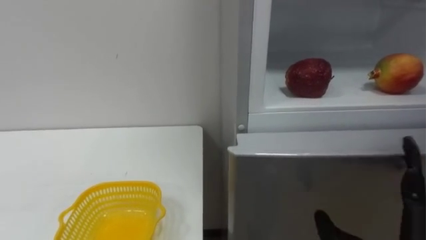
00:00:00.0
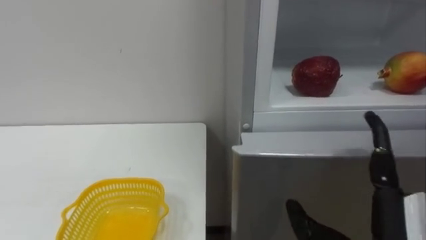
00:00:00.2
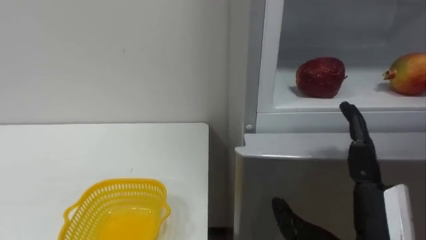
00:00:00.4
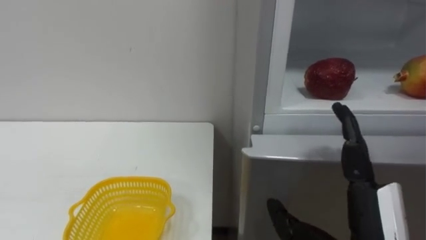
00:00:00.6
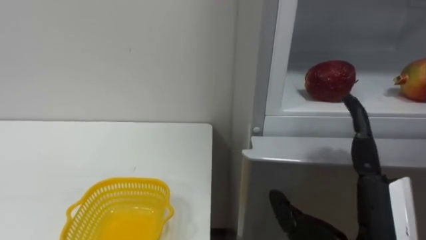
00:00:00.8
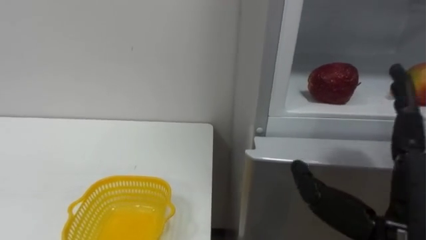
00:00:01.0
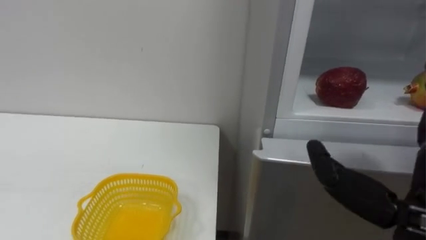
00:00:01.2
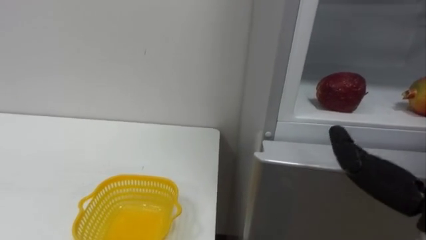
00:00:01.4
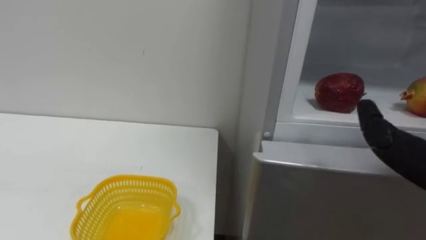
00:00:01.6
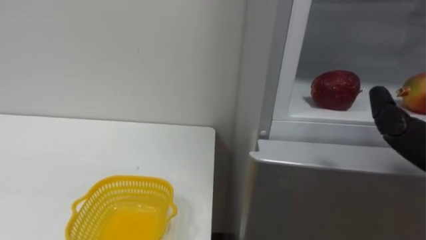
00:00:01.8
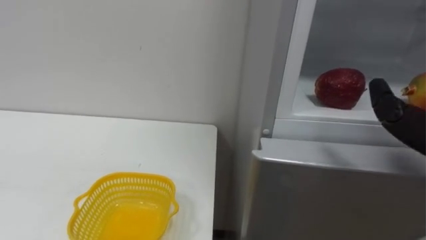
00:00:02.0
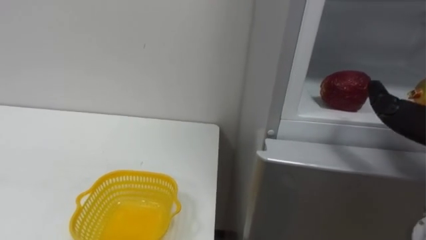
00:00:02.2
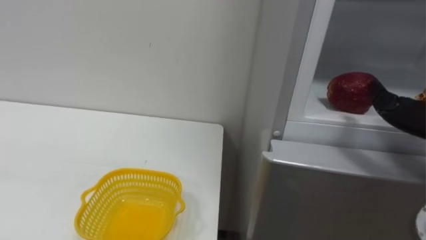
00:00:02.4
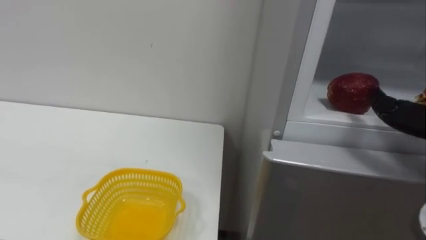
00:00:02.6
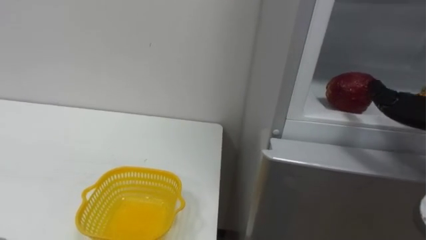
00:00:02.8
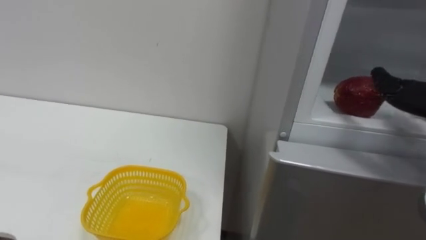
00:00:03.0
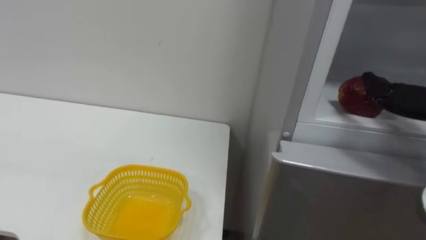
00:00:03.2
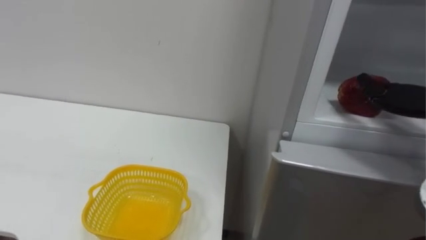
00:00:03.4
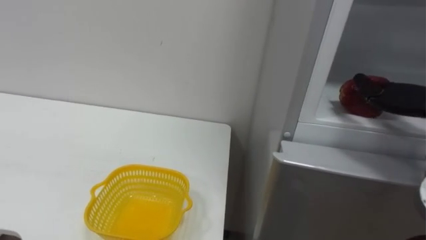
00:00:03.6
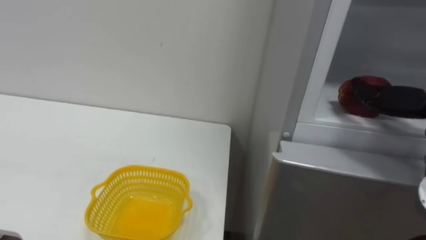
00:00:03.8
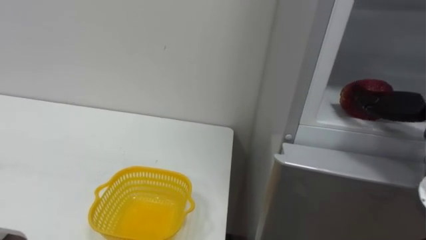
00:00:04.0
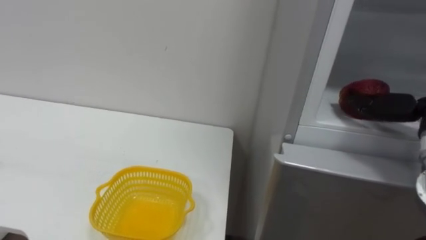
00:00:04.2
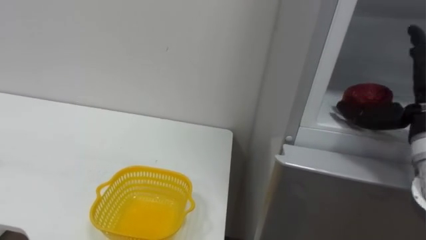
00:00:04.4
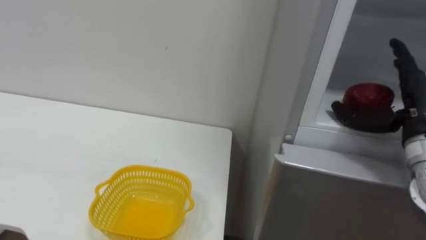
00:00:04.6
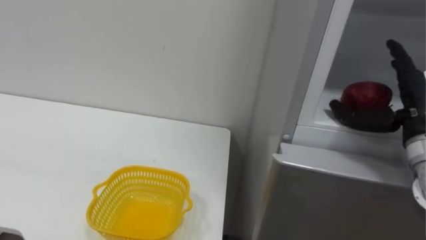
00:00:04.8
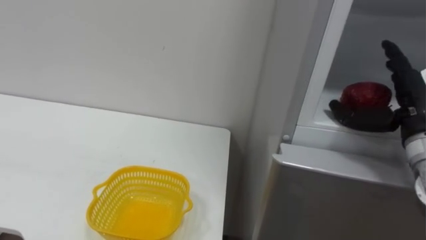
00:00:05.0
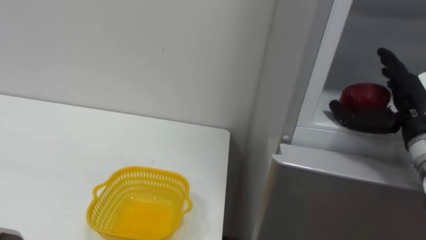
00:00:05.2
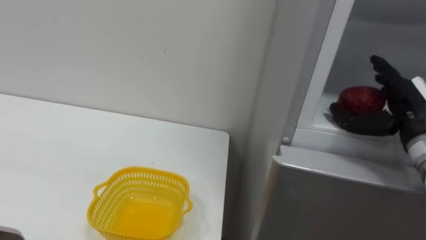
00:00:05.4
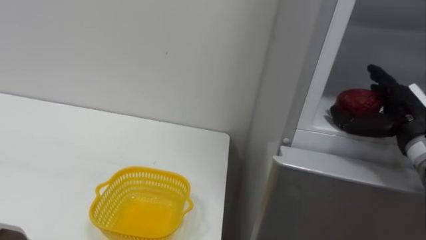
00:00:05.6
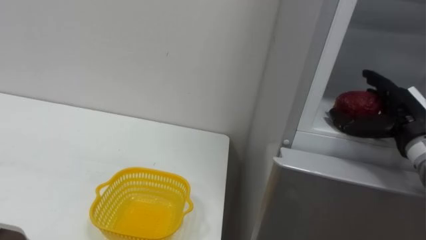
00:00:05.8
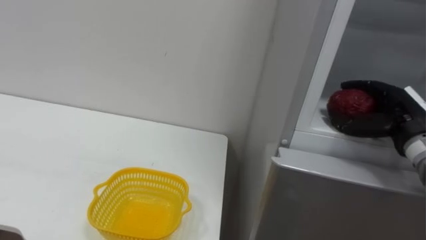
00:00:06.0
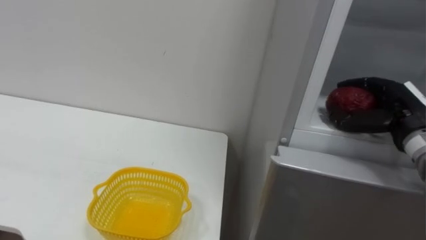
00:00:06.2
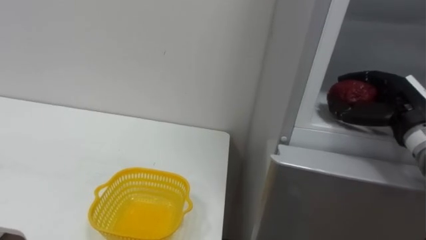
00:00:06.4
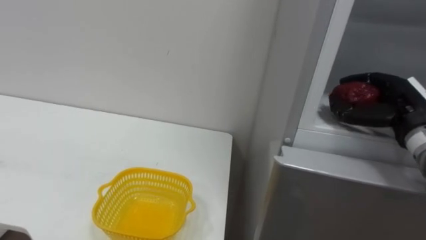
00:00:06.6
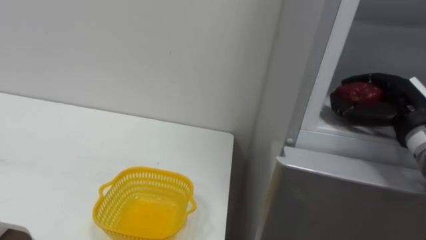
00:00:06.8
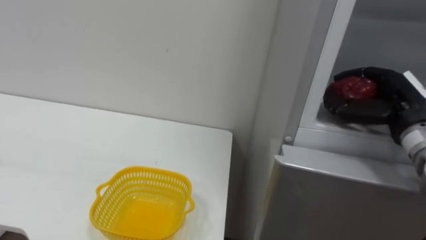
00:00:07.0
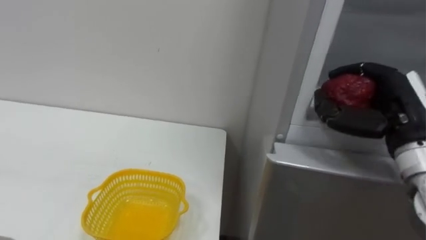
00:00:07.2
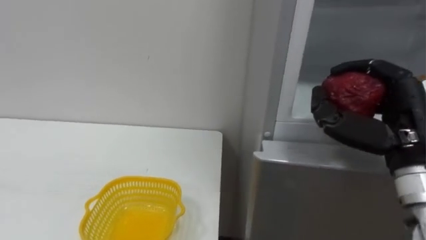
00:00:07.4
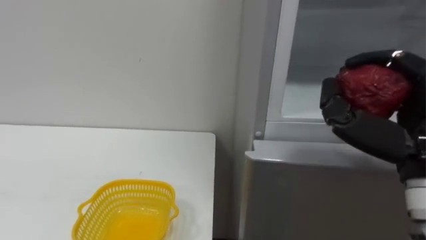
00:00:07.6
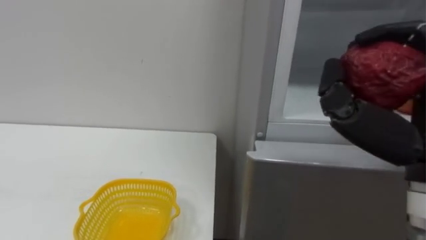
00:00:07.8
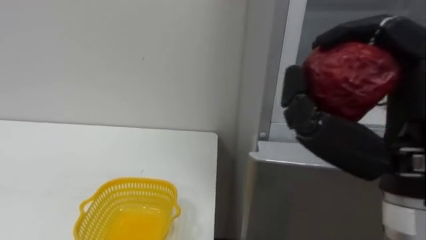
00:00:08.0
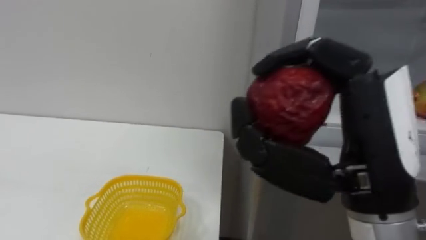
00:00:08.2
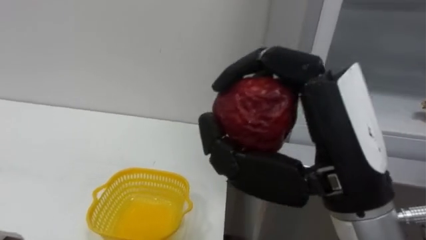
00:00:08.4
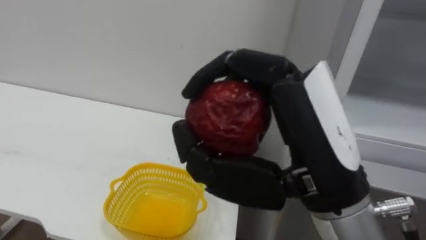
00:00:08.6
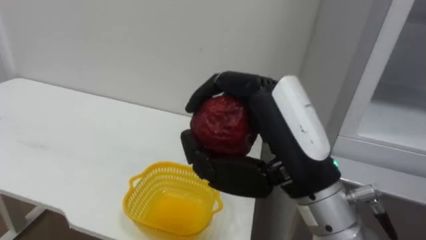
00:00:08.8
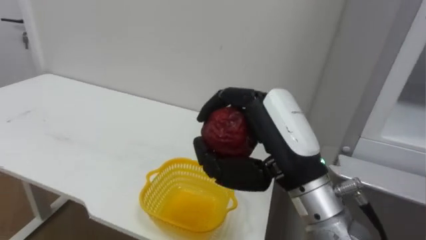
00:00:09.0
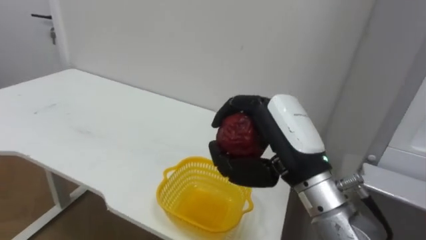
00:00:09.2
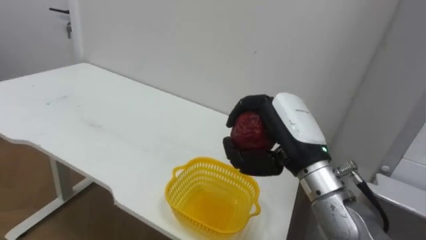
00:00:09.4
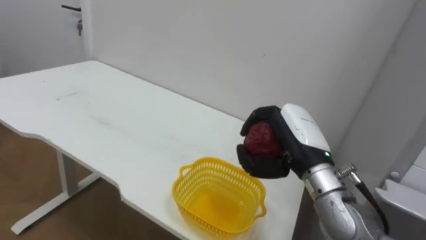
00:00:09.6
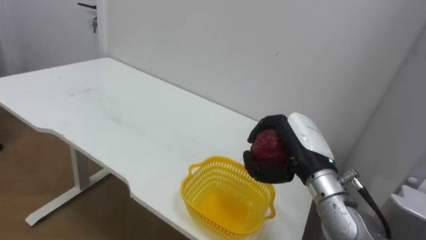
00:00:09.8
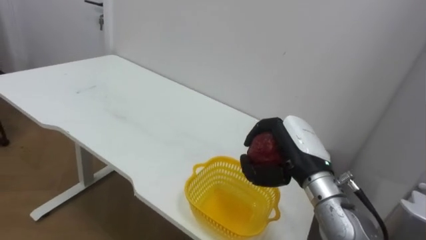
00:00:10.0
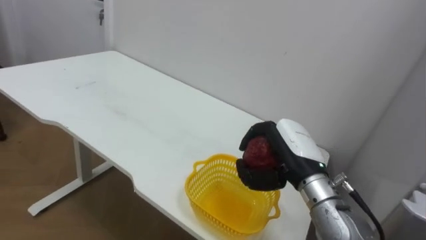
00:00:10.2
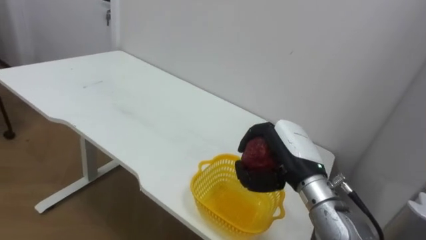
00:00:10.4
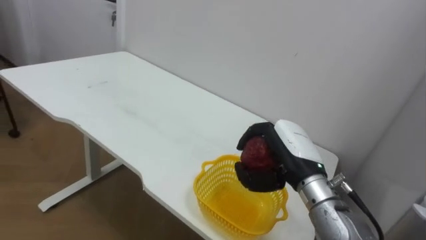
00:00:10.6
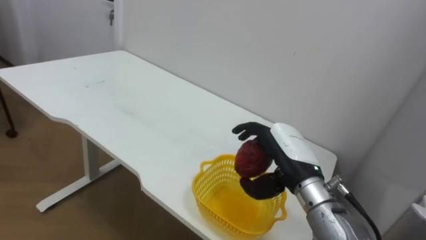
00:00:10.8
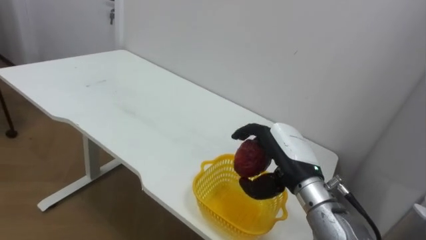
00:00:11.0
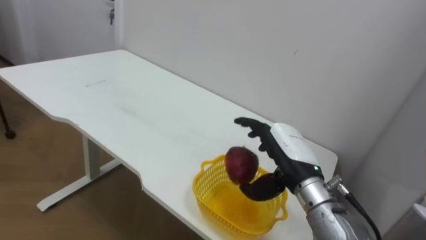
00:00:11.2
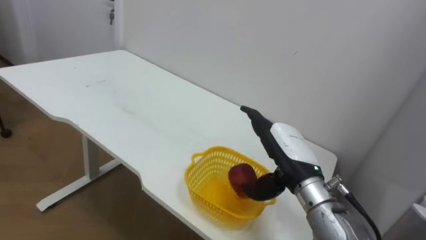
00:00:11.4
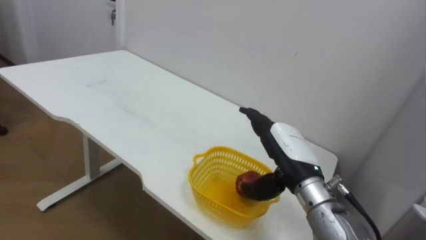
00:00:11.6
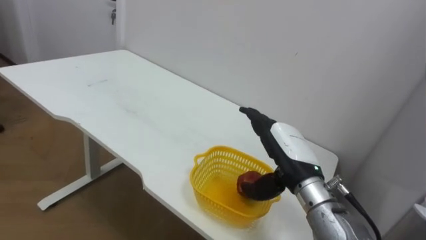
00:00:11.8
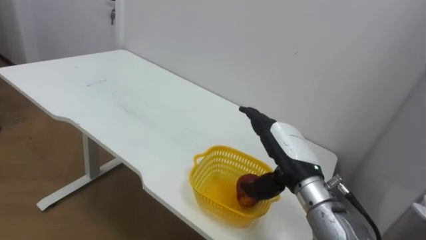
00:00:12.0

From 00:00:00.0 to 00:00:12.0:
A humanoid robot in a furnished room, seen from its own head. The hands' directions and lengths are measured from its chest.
Task of the whole recording: Open the refrigerator door, take out the apple and the pomegranate, place them in the fruit basket on the left, and close the refrigerator door.
From 00:00:04.4 to 00:00:06.0: The right hand travels downward by roughly 5 cm.
From 00:00:06.0 to 00:00:07.6: The right hand is displaced backward, to the left and upward by some 15 cm, and closes.
From 00:00:07.6 to 00:00:09.0: The right hand heads to the left, covering some 15 cm.
From 00:00:09.0 to 00:00:10.4: The right hand shifts about 15 cm downward and forward.
From 00:00:10.4 to 00:00:12.0: The right hand opens its fingers.

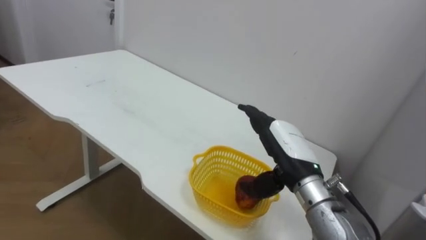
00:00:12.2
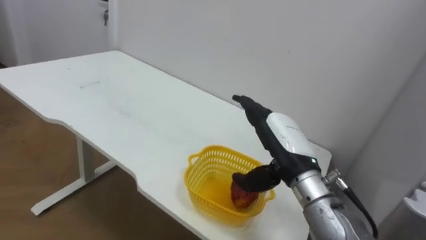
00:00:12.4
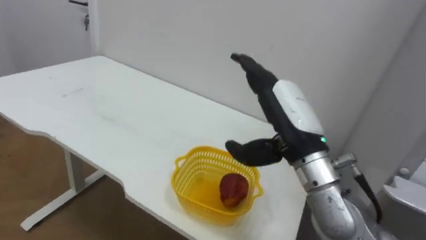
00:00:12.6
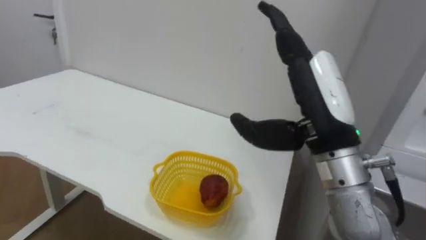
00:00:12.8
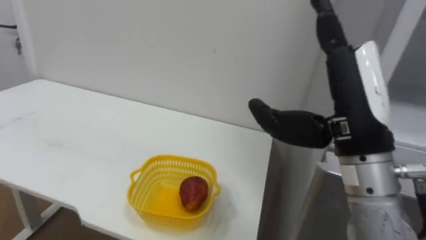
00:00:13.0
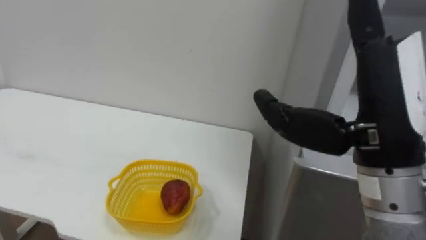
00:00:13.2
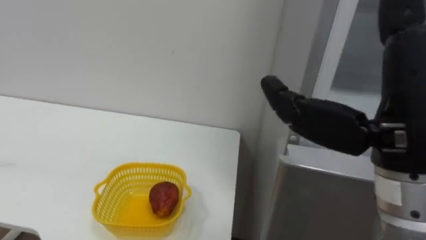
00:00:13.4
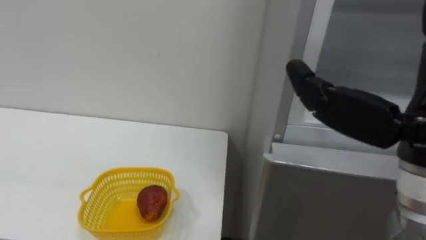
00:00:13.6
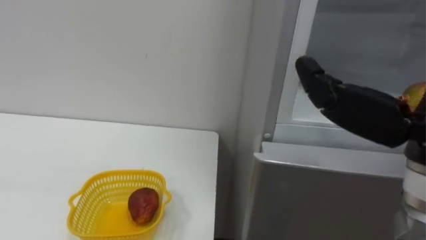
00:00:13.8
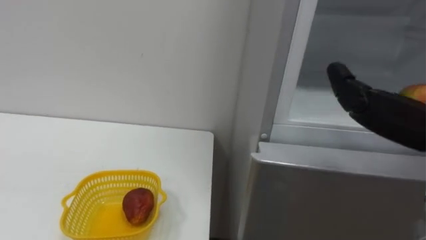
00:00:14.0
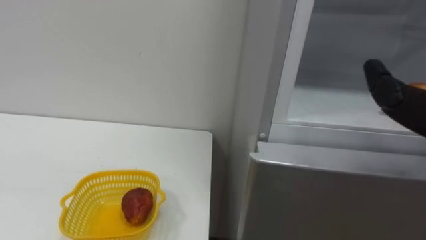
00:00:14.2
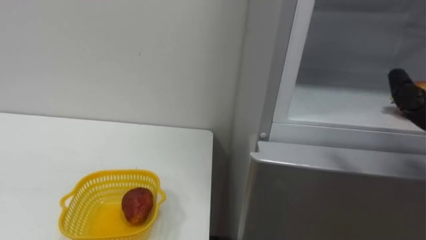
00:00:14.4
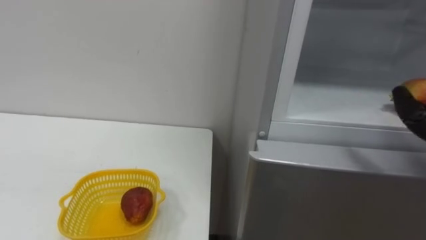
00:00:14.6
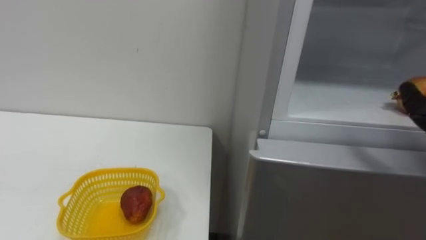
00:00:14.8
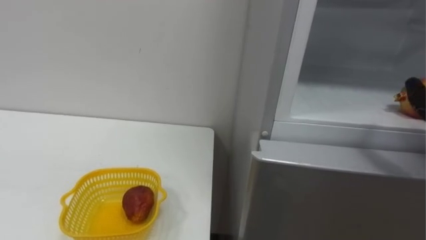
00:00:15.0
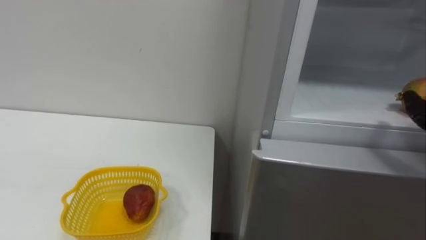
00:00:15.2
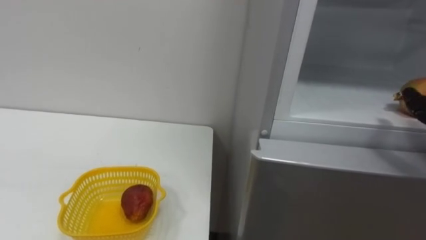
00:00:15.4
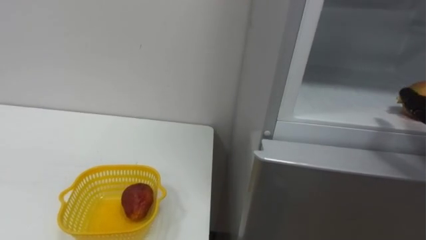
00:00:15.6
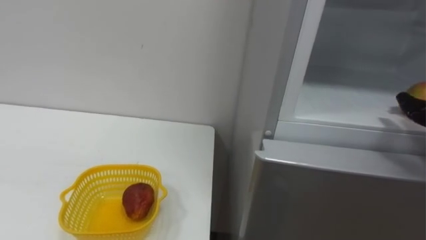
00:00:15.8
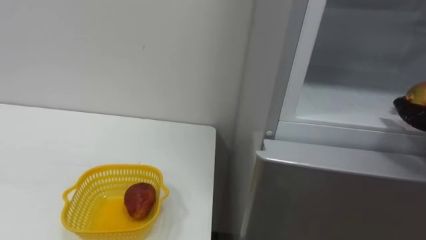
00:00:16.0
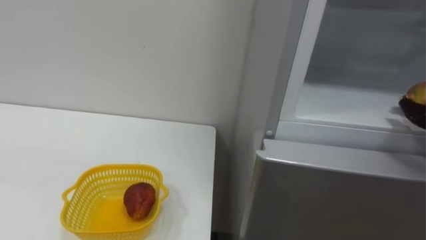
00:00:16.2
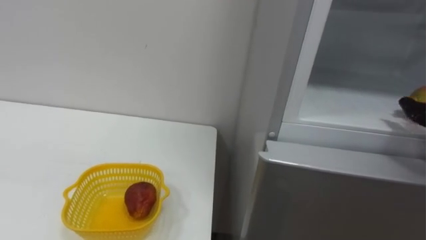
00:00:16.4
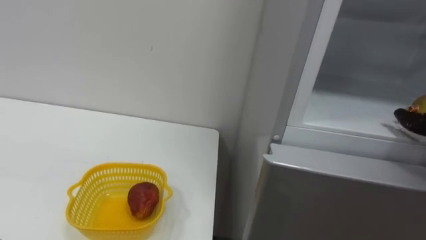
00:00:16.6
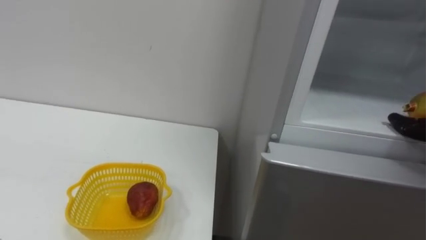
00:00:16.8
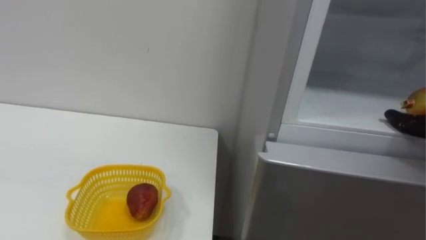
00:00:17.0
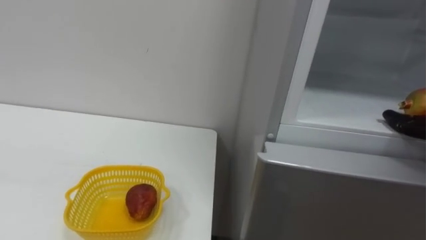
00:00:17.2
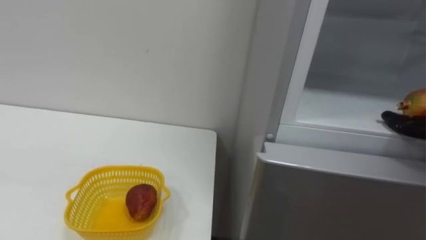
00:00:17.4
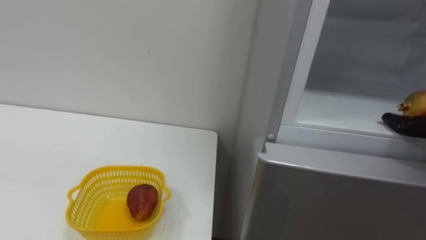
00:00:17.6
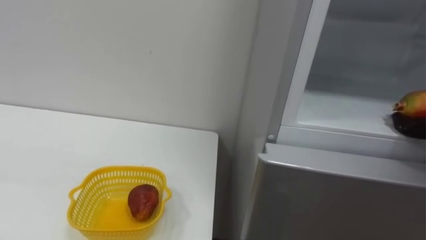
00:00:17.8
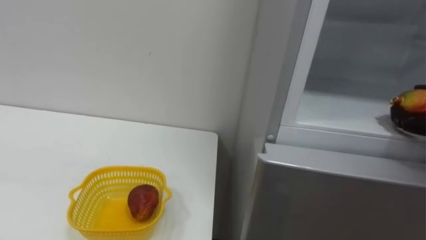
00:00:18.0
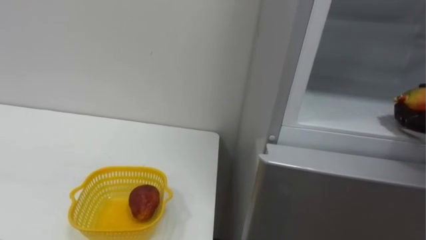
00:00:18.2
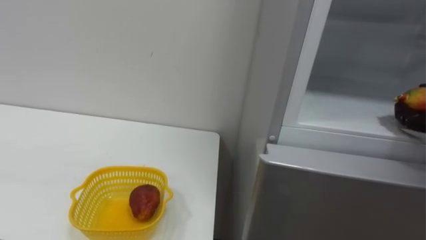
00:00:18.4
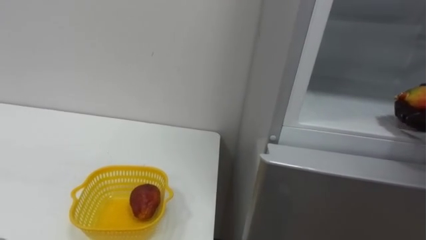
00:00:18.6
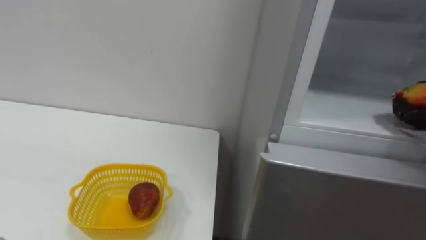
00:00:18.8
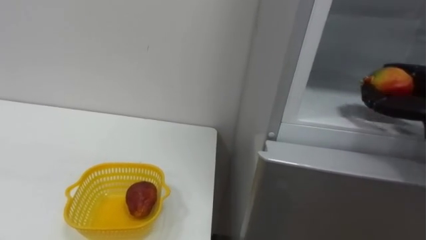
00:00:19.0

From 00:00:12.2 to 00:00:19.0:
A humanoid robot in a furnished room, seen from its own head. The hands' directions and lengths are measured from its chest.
Task of the whole recording: Open the refrigerator door, take out the apple and the pomegranate, place them in the fruit basket on the left, and close the refrigerator door.
From 00:00:12.2 to 00:00:13.6: The right hand heads upward and backward, covering about 25 cm.
